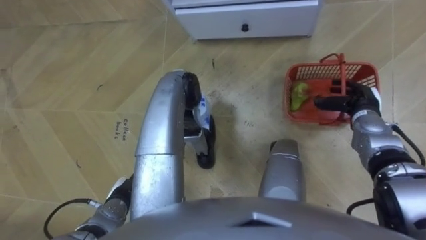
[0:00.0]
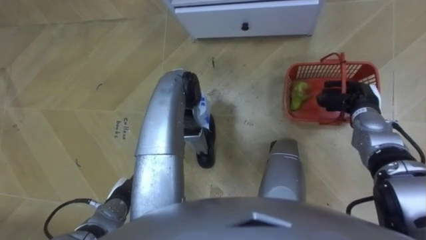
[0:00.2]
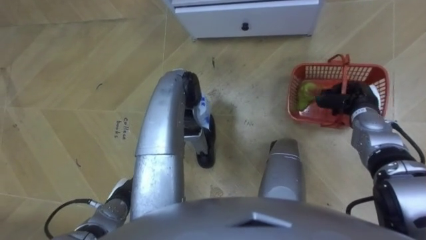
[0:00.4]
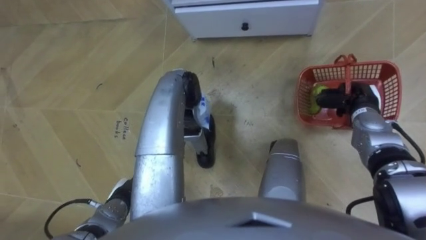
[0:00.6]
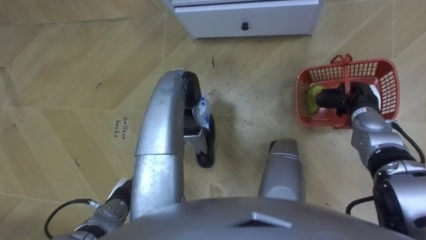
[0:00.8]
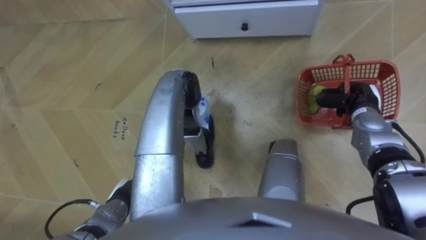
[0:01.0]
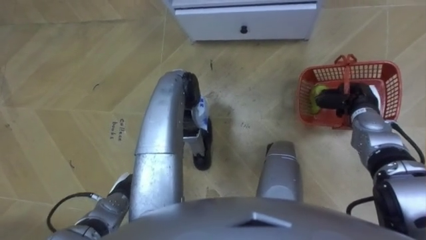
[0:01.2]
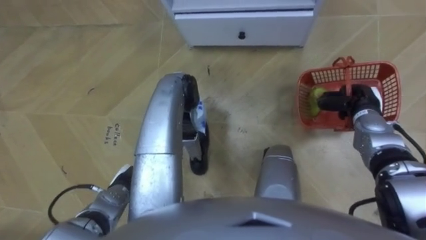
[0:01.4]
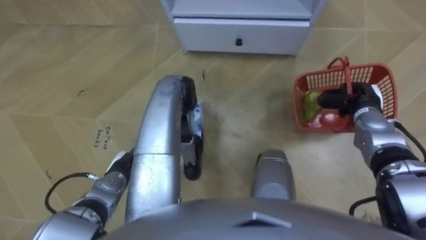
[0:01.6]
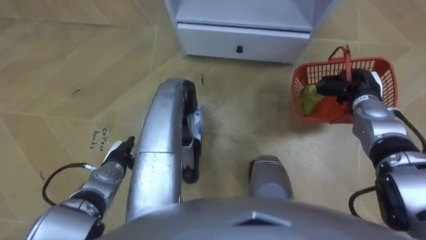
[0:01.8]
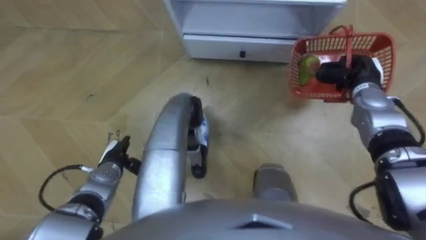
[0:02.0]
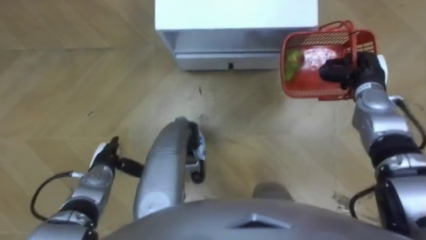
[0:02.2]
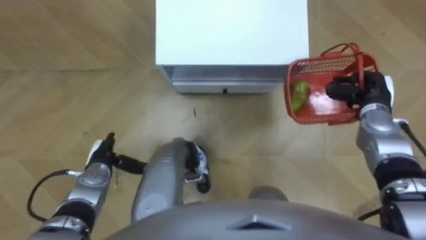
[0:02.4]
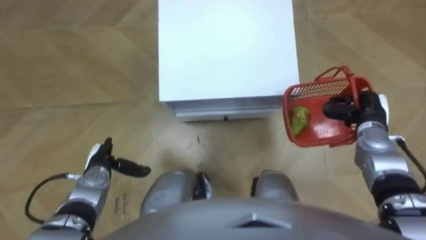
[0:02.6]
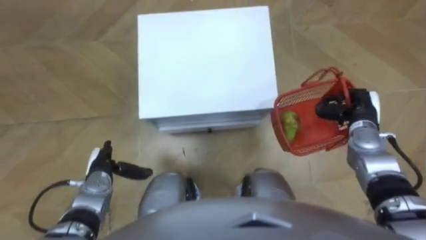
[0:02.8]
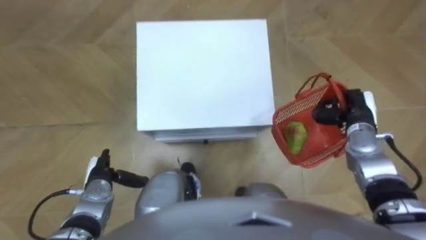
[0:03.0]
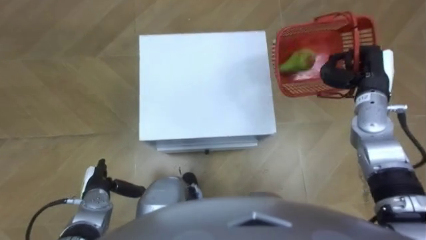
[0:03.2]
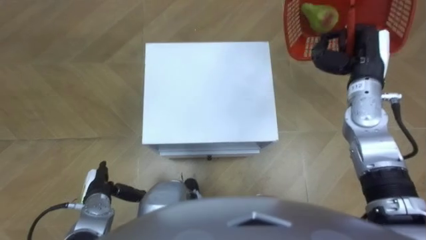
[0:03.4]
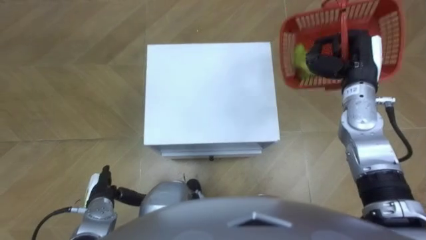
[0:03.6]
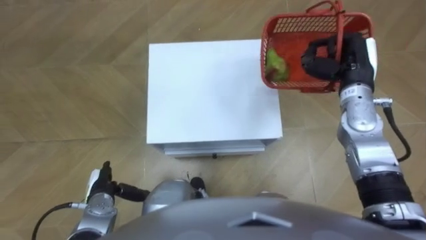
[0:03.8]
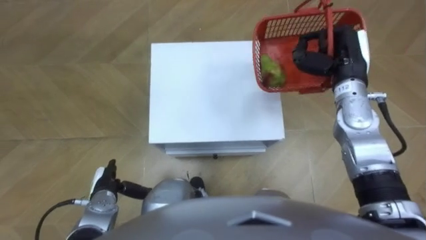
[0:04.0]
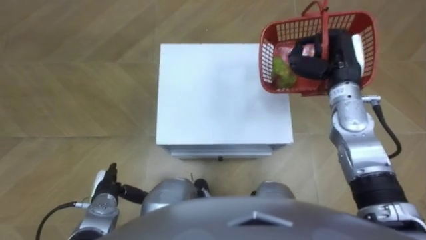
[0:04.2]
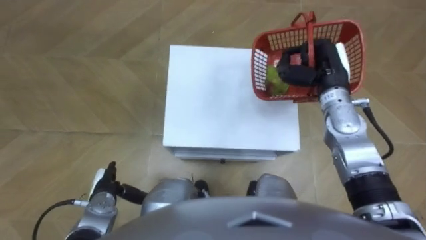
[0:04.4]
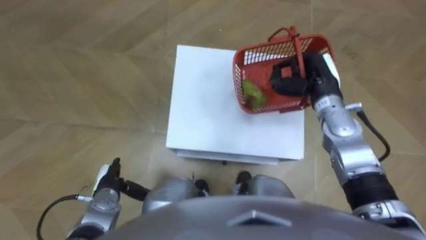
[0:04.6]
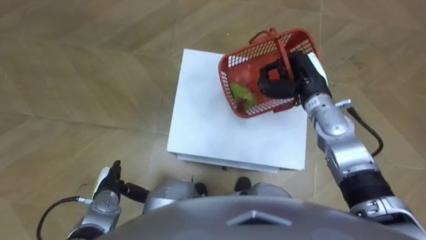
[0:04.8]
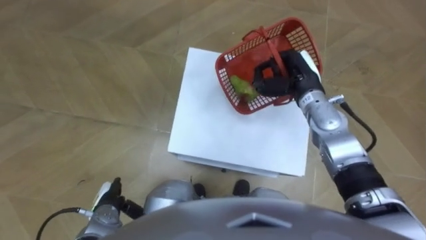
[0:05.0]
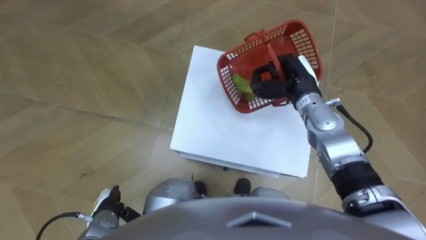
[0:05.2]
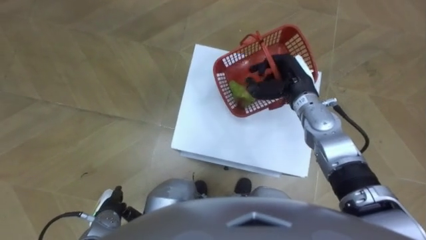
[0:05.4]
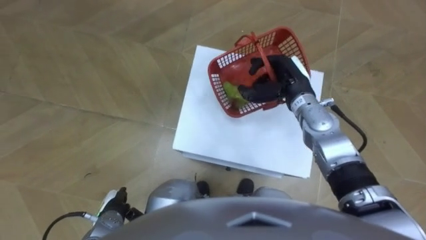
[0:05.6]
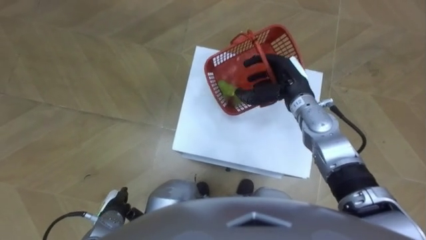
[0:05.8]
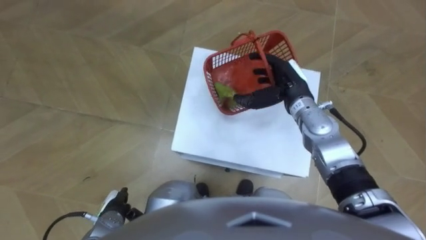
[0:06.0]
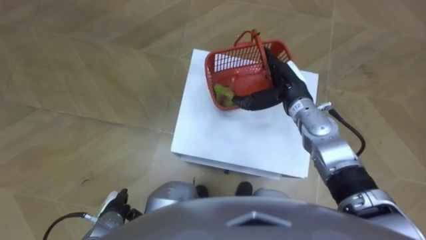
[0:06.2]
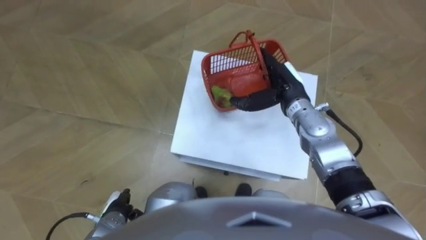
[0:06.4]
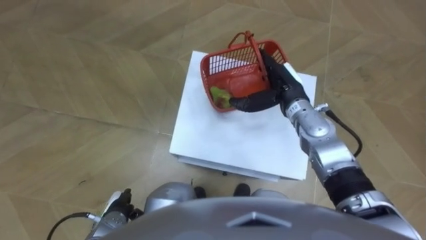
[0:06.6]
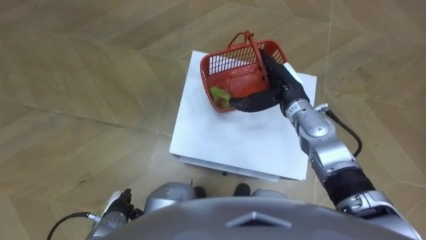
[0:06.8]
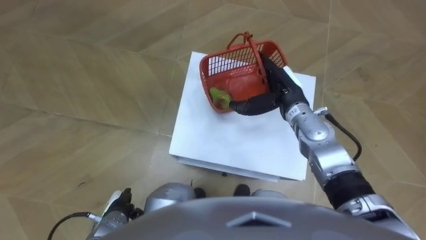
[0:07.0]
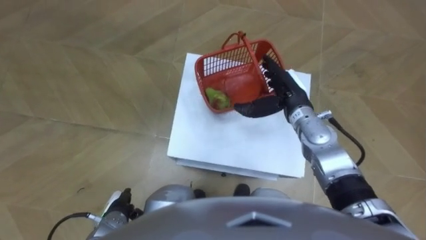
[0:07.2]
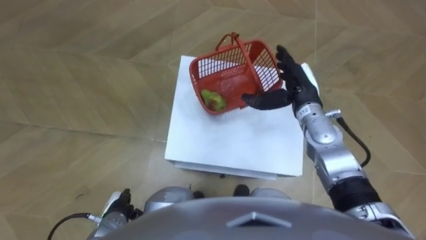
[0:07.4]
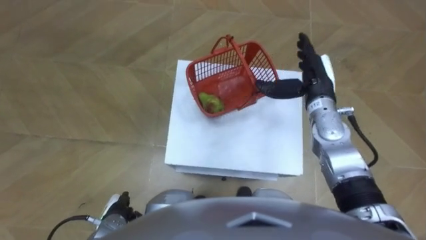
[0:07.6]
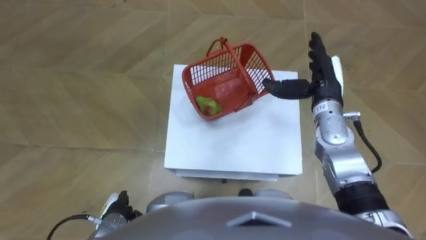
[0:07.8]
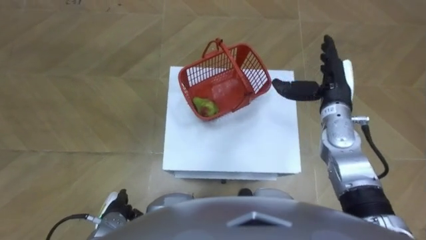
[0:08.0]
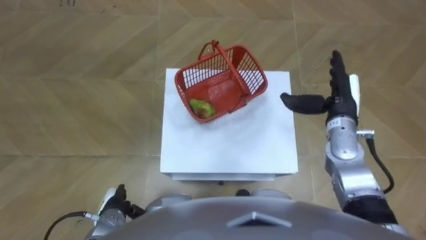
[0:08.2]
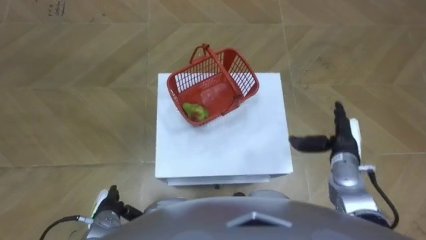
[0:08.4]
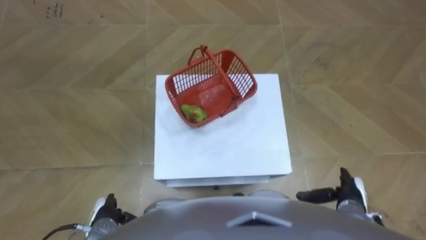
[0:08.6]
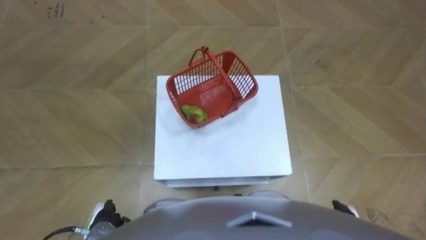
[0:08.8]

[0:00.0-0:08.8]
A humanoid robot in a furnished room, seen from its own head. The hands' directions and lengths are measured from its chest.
Task of the whole recording: Pick up the fruit basket from the floor and place it on the cabinet.
0:00.0 to 0:01.4: The right hand closes.
0:01.4 to 0:03.0: The left hand goes approximately 5 cm to the left. Meanwhile the right hand travels forward and back again, about 5 cm each way.
0:03.0 to 0:04.4: The right hand goes some 15 cm to the left, upward and forward.
0:04.4 to 0:05.8: The left hand travels backward by some 5 cm. Meanwhile the right hand moves to the left, some 5 cm, and opens up.
0:07.4 to 0:08.8: The right hand moves backward, downward and to the right, about 35 cm.

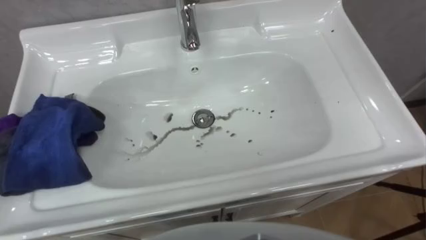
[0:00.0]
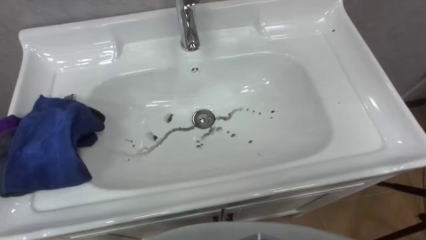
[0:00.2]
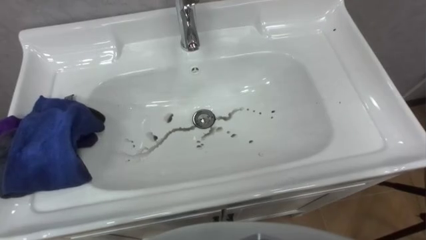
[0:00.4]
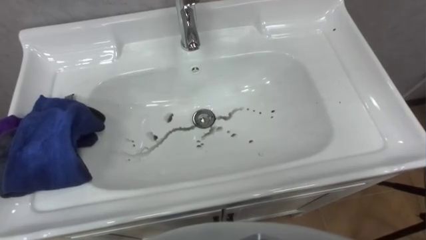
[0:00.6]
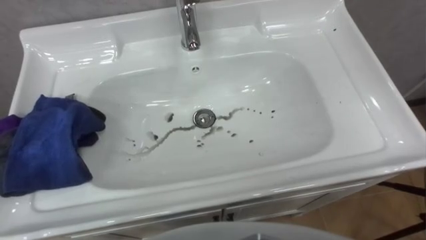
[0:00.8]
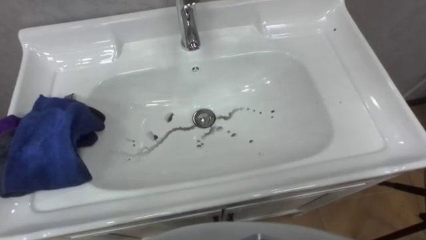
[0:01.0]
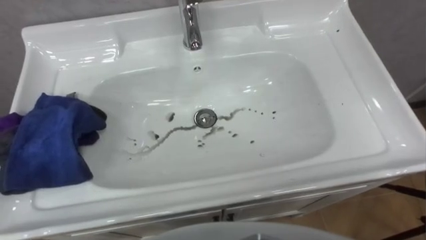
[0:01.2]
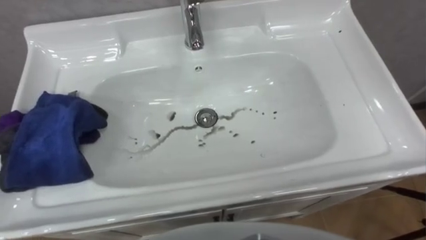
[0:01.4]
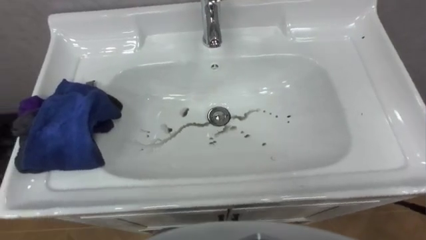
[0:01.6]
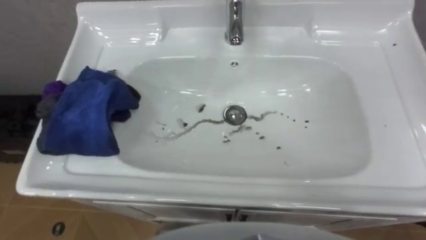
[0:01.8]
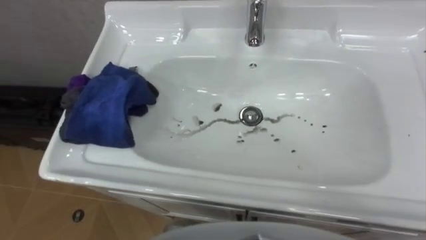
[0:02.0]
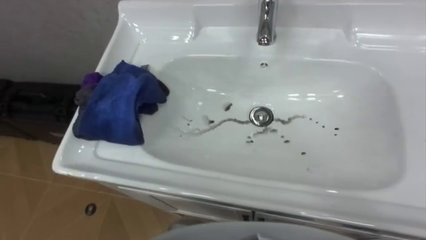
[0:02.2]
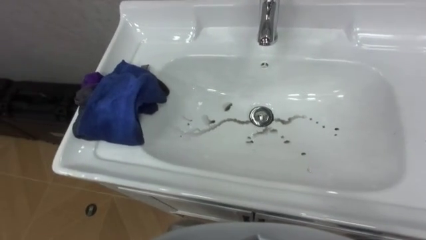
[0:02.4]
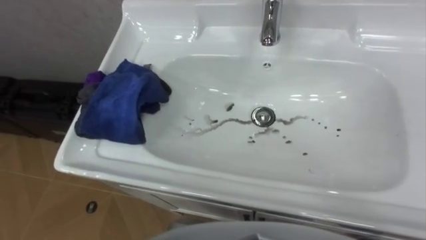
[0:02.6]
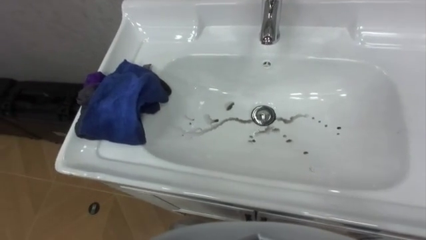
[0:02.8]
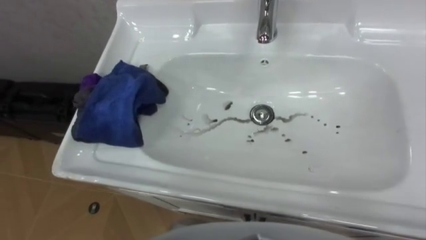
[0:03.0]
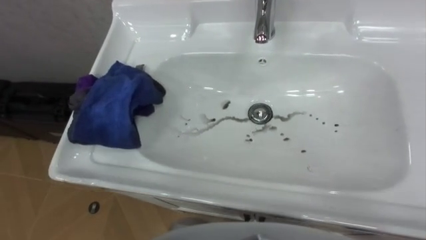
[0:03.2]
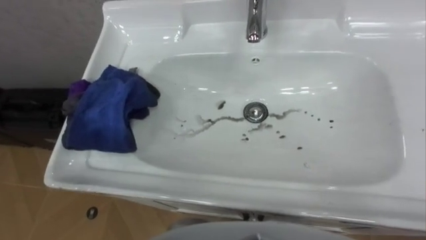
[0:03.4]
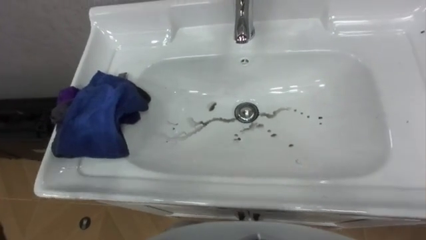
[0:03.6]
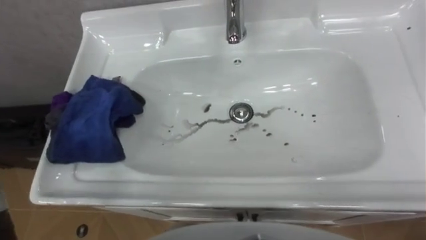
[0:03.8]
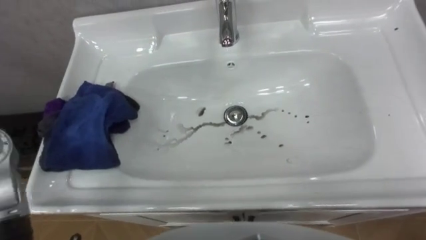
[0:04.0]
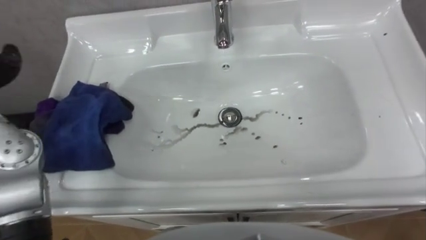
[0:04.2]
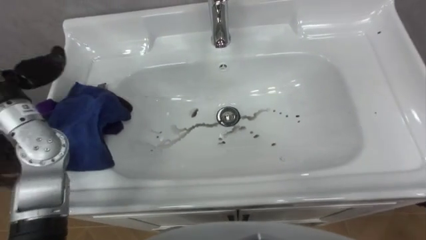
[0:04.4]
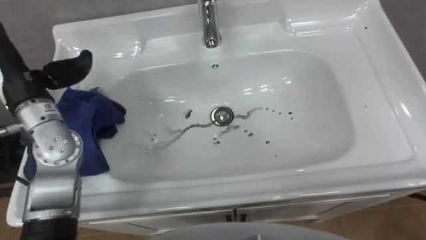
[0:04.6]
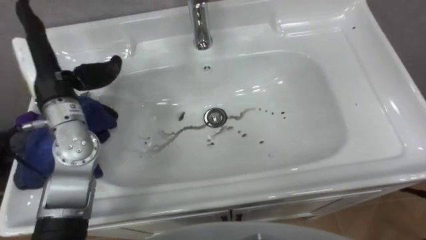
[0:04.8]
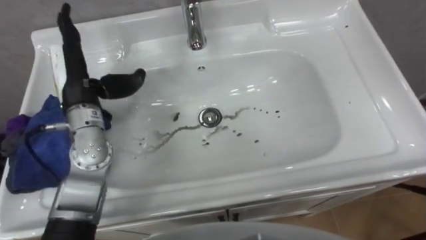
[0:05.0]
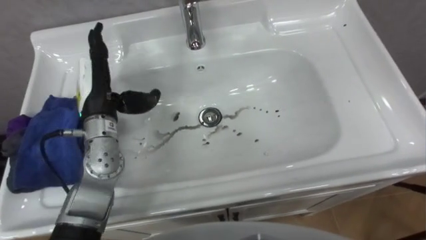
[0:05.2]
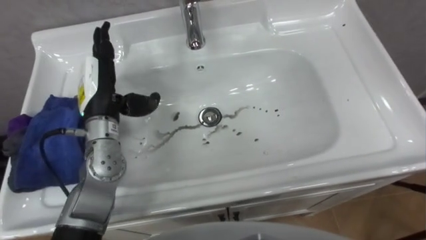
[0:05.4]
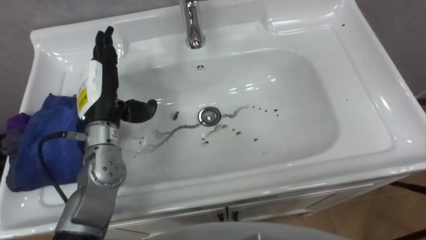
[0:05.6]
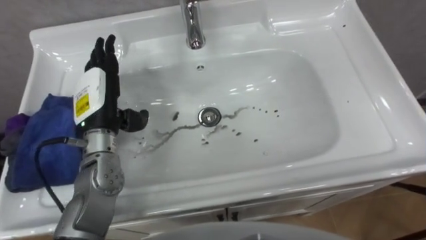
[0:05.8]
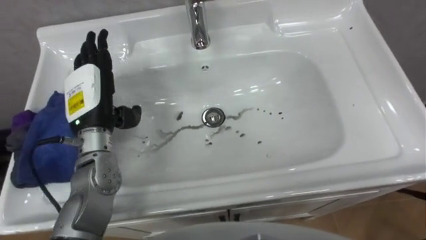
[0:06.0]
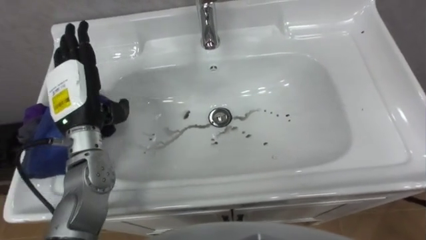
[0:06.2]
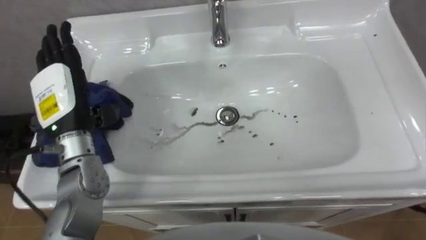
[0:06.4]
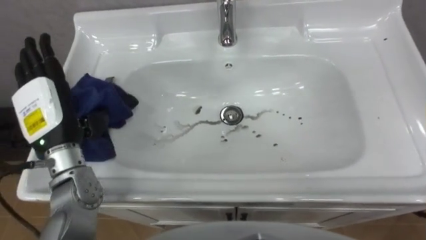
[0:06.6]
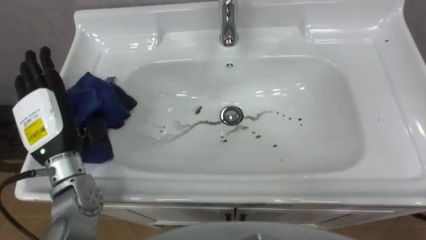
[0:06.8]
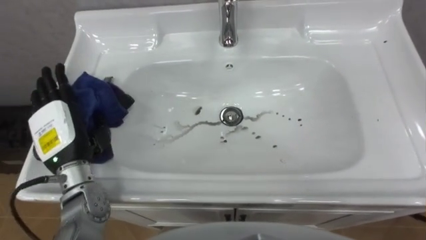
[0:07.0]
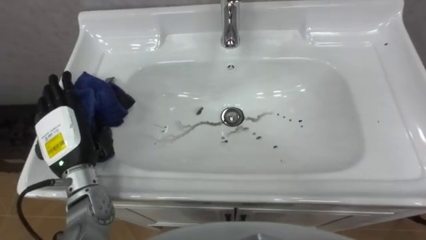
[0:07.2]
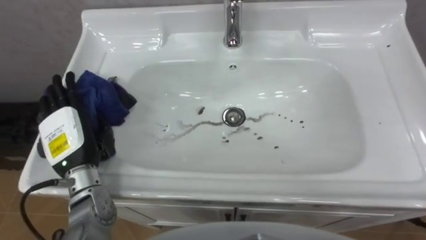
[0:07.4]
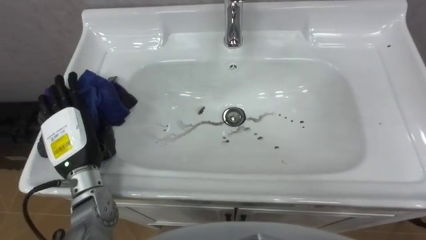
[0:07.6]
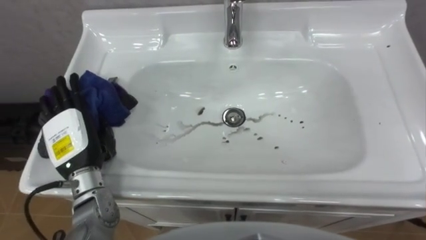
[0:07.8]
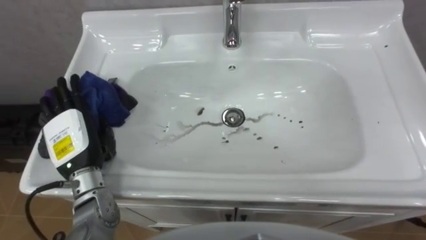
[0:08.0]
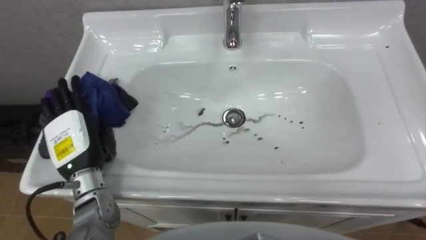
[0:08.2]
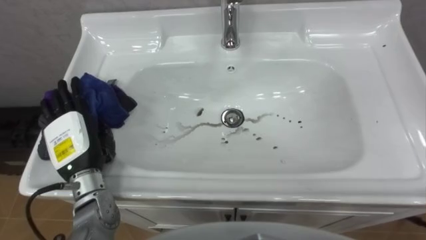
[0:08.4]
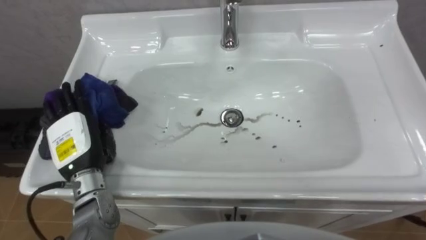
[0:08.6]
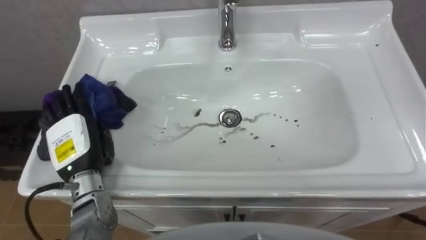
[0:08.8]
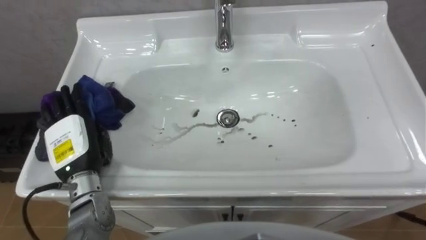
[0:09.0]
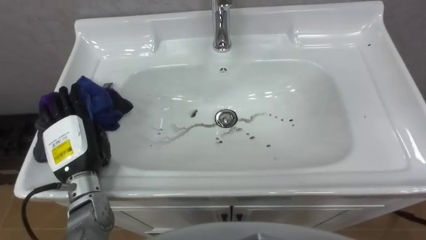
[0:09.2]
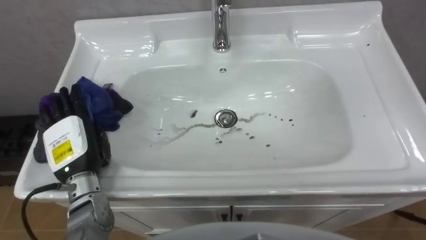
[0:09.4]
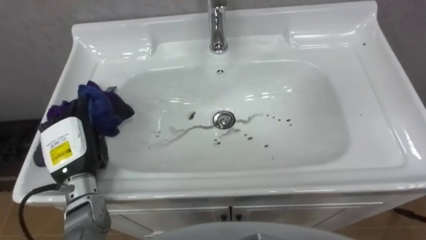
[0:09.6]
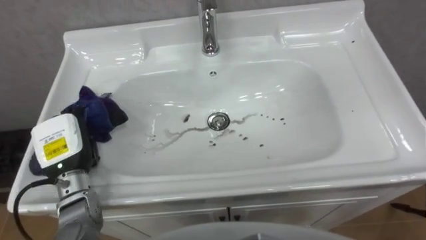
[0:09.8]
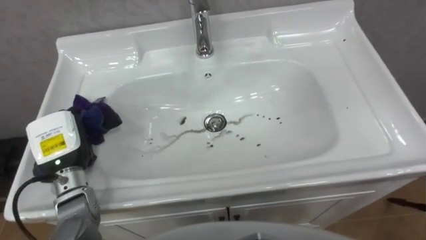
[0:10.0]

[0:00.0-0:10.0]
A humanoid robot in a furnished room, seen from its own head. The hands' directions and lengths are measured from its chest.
Task of the whole recording: Use the cloth on the right to wipe away the black stain in the sink.
0:05.8 to 0:07.2: The left hand goes roughly 10 cm backward and to the left.
0:08.6 to 0:10.0: The left hand closes.
